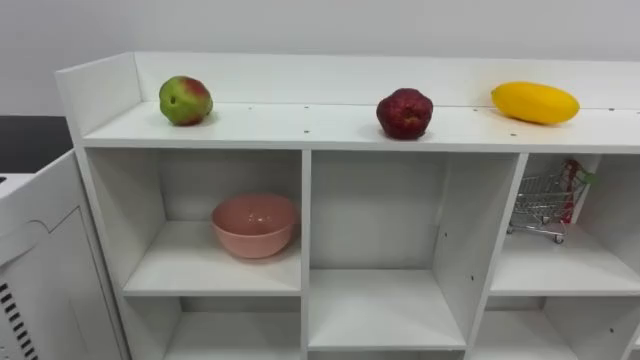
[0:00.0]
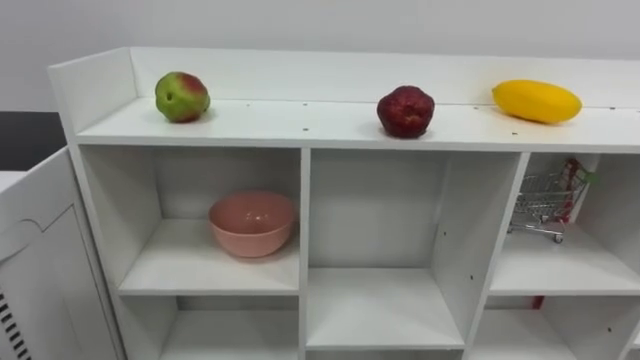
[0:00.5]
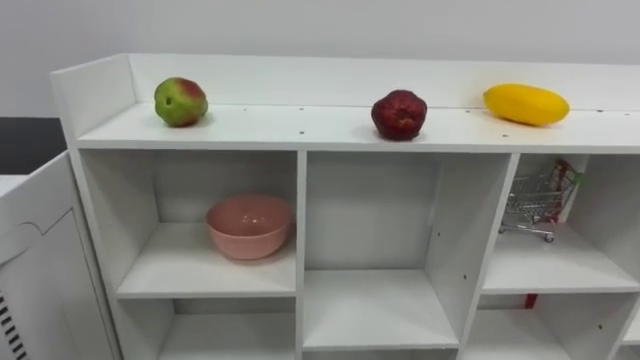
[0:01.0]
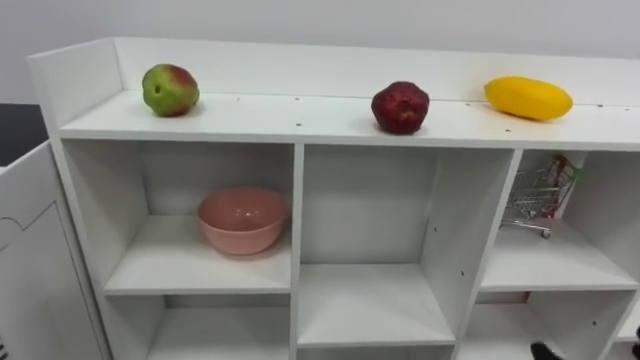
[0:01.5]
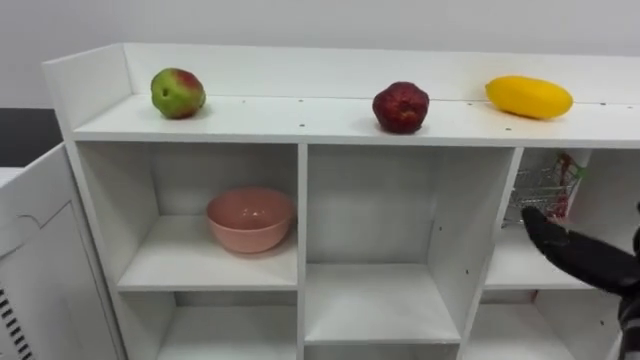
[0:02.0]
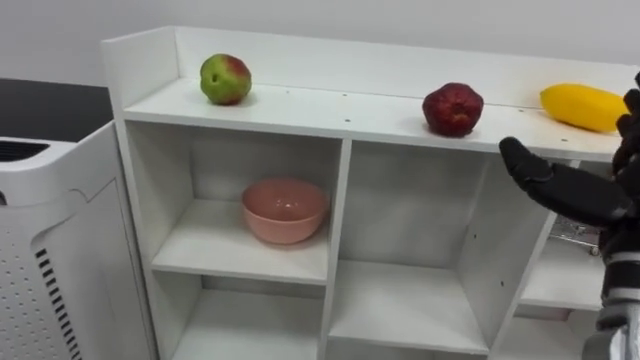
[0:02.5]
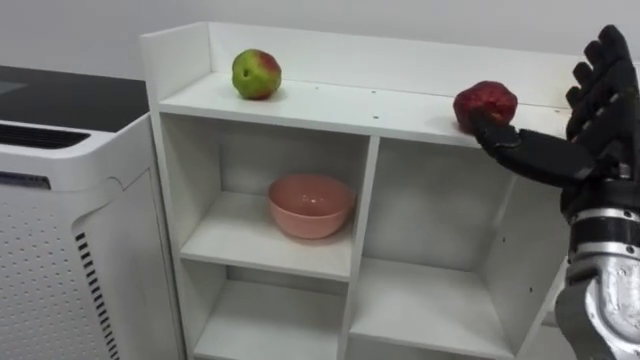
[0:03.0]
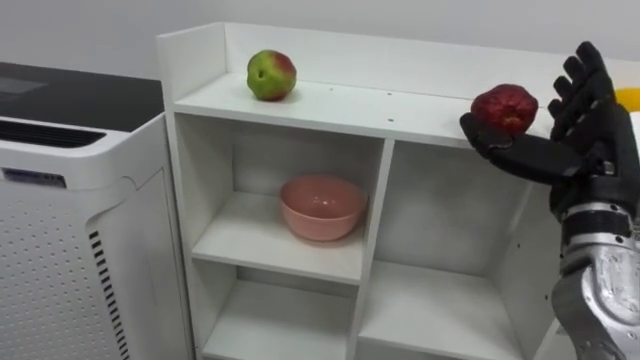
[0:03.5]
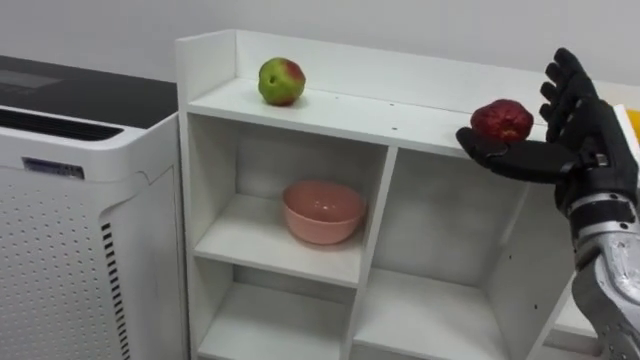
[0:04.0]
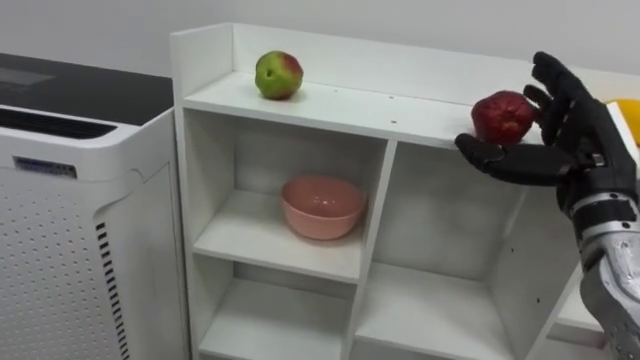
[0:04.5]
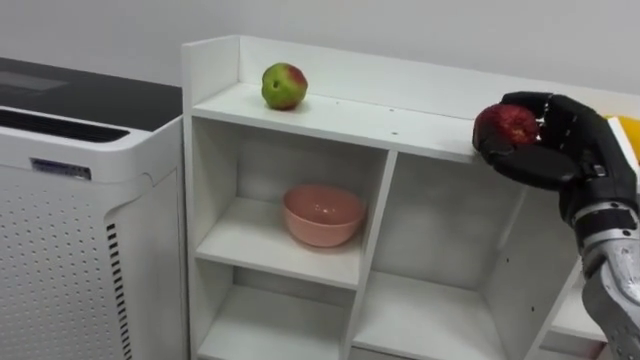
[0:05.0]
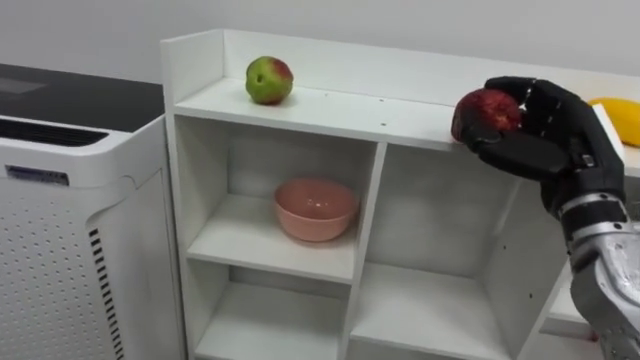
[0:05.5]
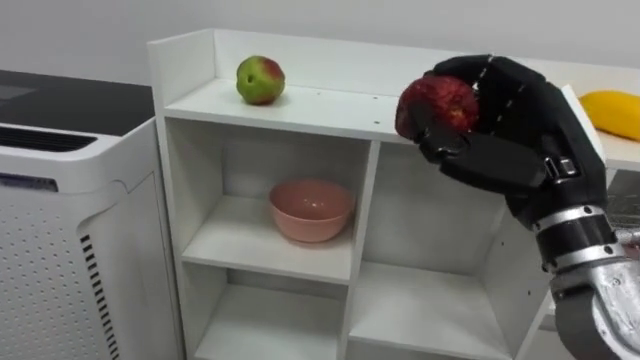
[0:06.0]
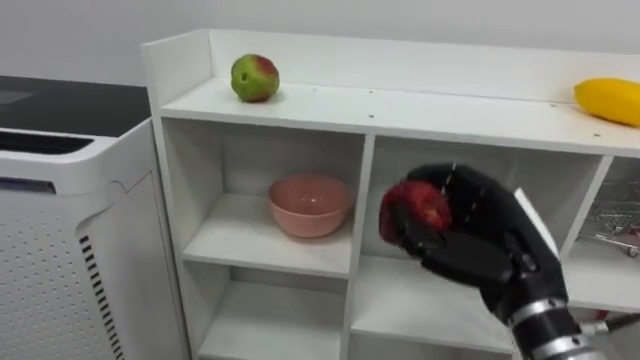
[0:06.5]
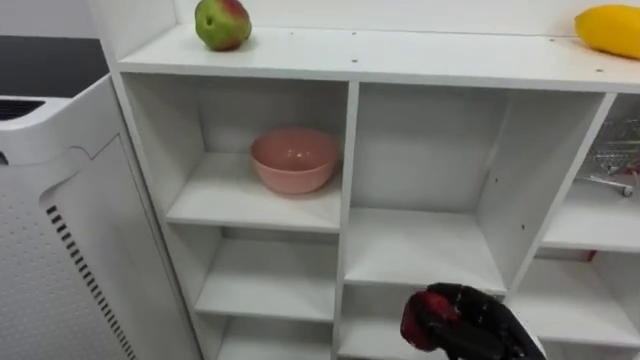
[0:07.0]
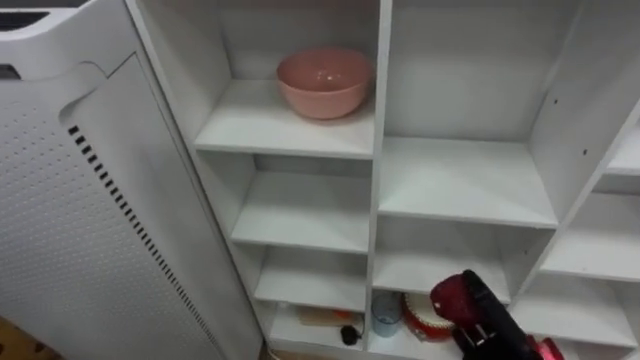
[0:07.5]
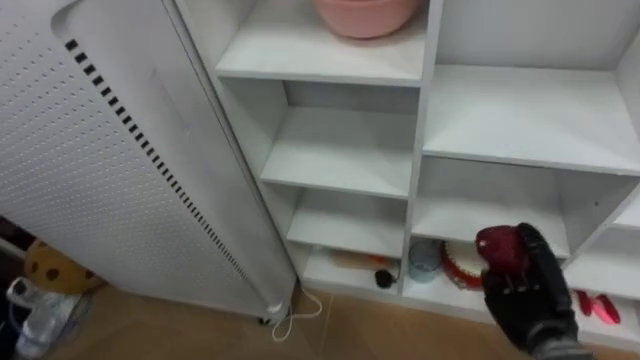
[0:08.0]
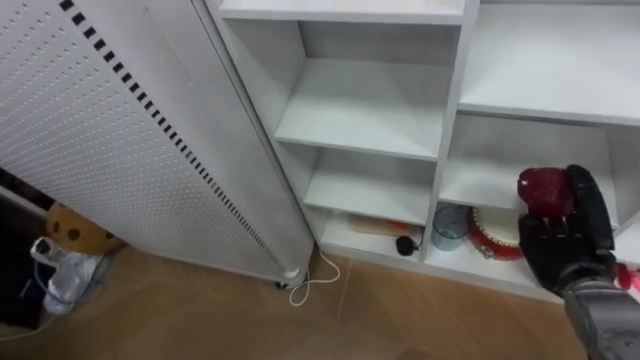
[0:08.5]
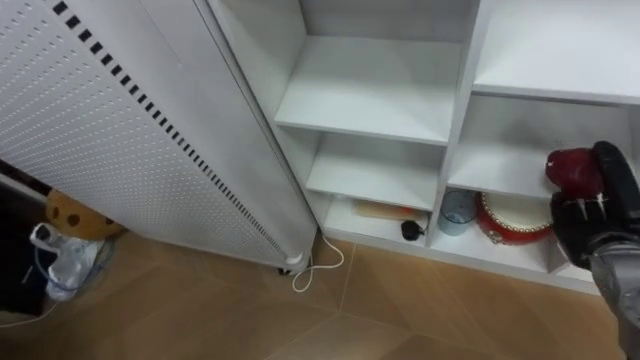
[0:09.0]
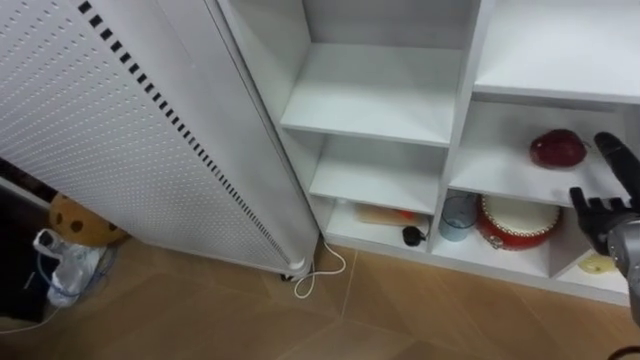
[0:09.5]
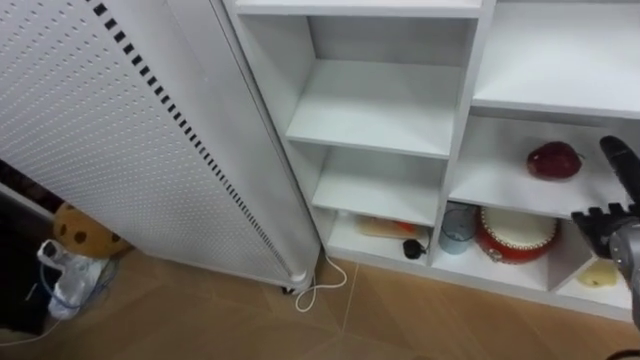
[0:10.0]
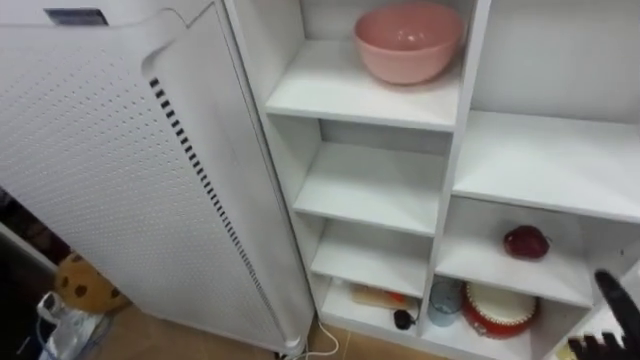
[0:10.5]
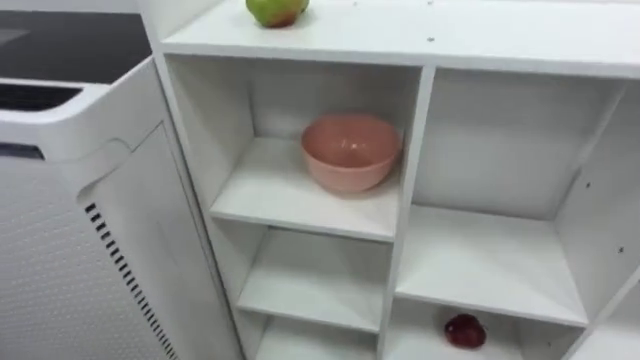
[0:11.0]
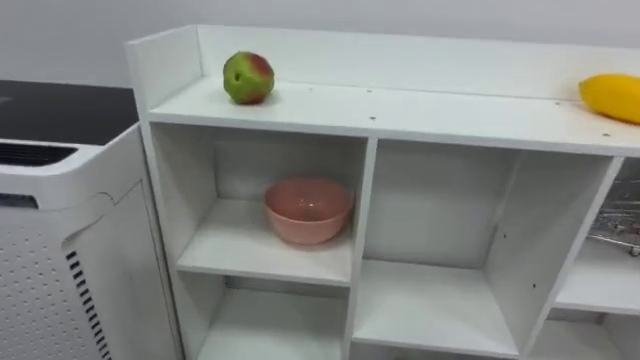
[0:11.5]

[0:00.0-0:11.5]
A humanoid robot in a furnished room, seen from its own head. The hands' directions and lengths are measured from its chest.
Task of the whole recording: Put the apple in the cell in the second column from the left and the second row from the top.
0:04.0 to 0:06.0: The right hand heads to the left and backward, covering roughly 10 cm, and closes up.
0:07.5 to 0:09.5: The right hand is displaced upward, to the right and forward by approximately 20 cm, and opens up.

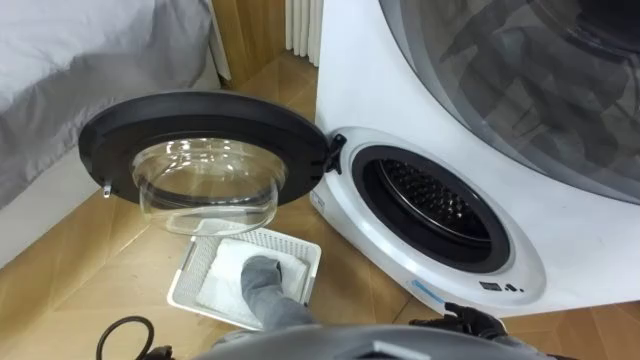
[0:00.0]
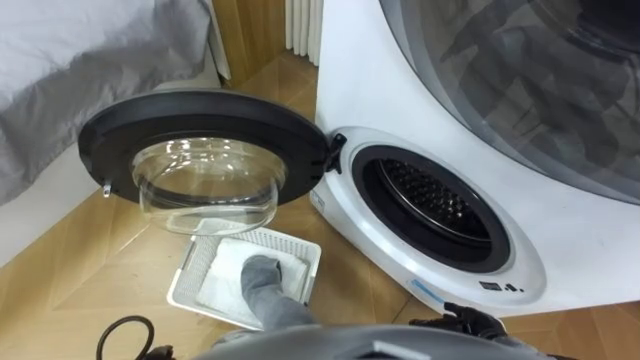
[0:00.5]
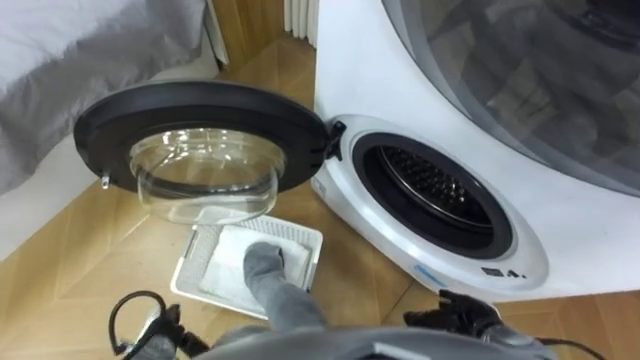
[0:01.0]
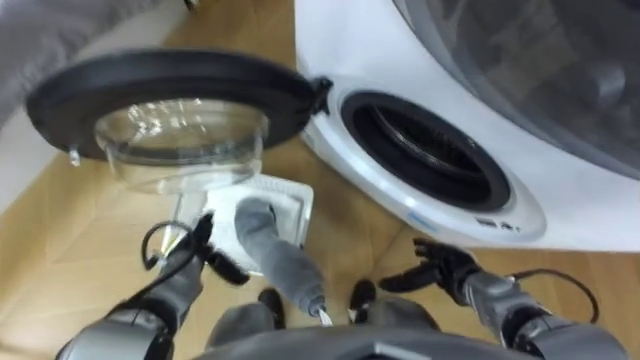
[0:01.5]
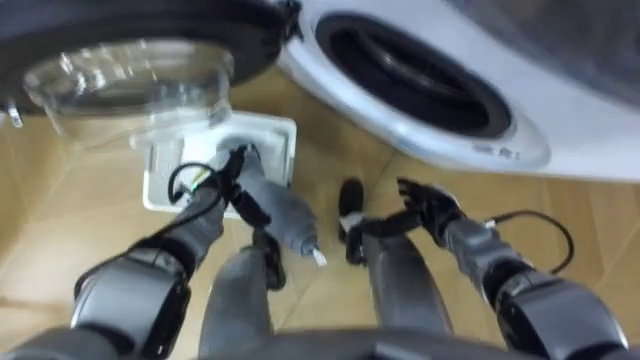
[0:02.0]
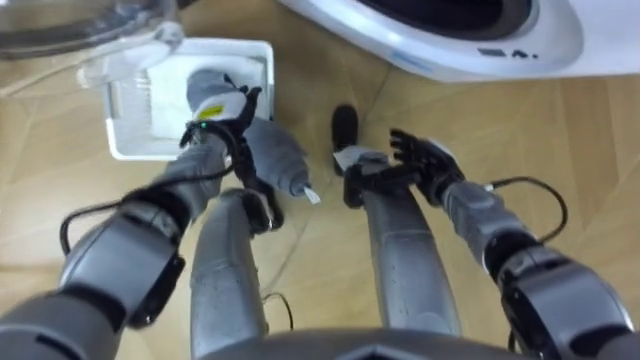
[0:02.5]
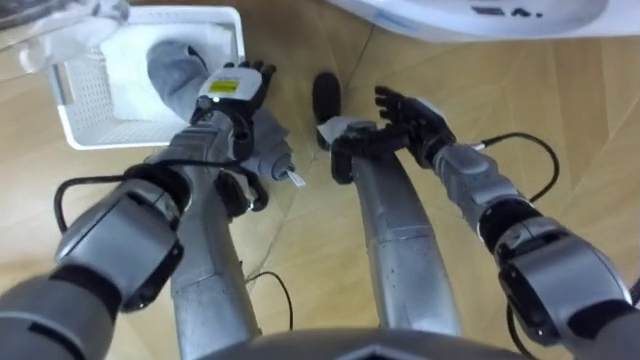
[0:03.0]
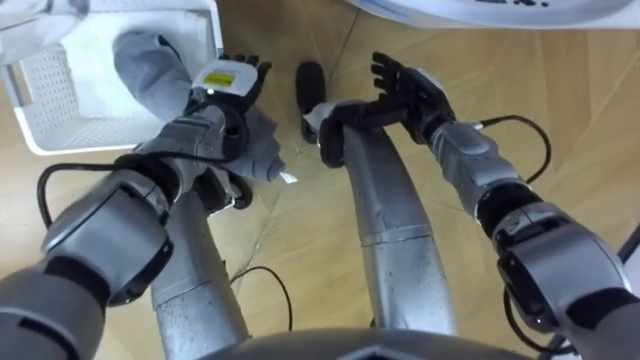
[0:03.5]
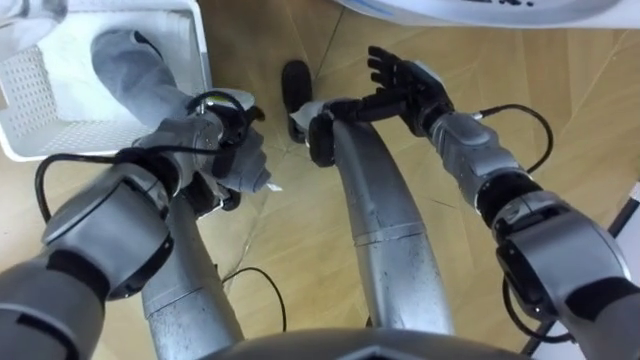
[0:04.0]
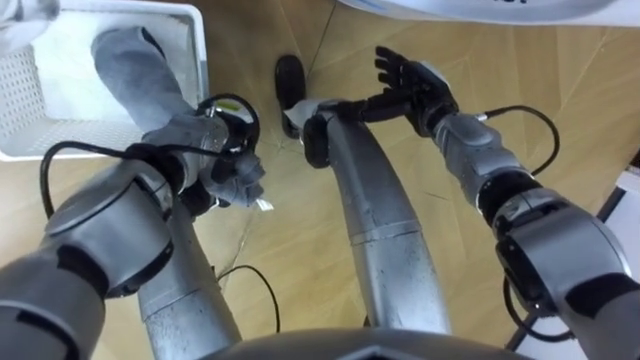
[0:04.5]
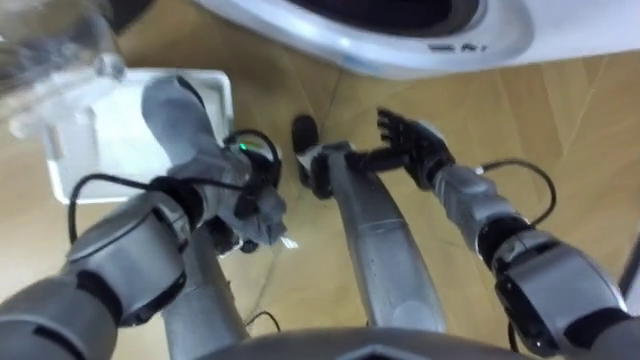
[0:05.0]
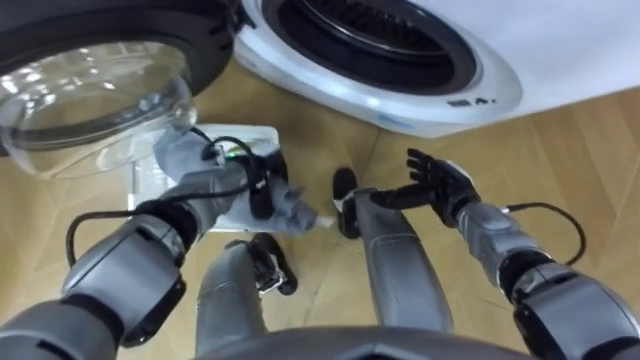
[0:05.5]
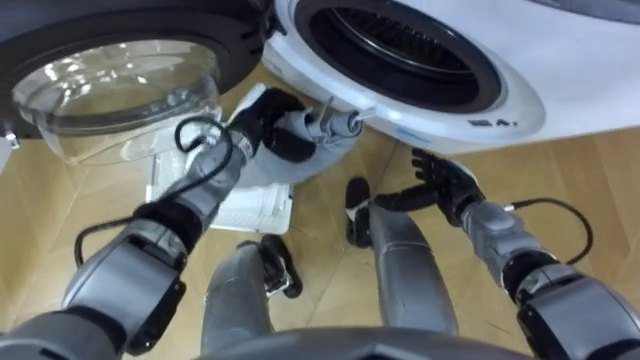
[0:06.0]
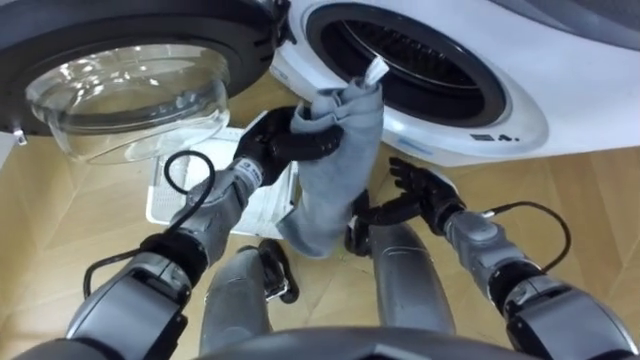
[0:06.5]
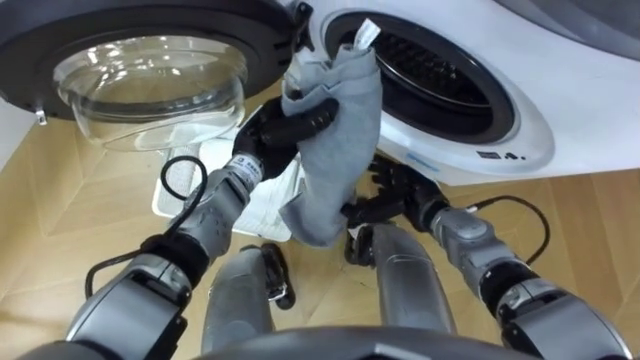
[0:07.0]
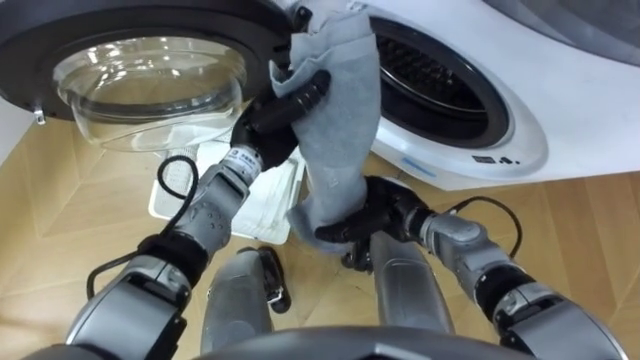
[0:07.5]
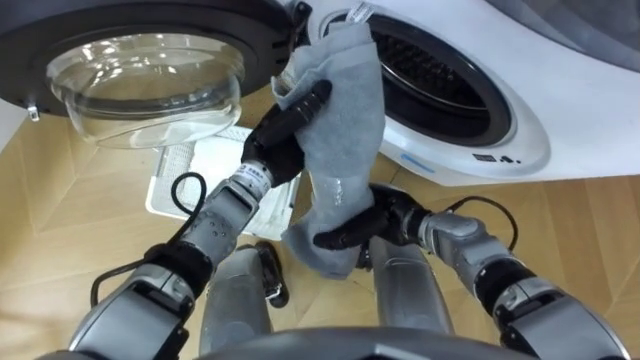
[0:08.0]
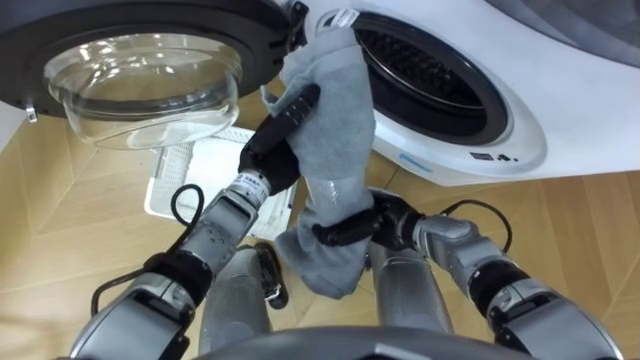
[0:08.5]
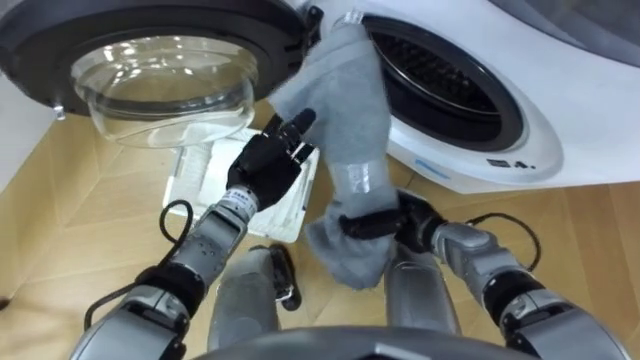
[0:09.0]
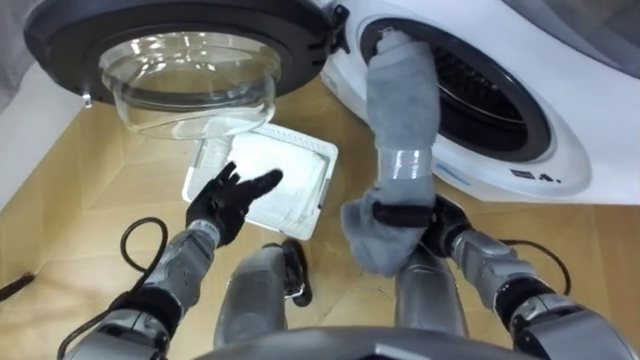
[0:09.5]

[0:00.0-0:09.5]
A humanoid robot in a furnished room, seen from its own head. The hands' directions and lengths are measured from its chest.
Task of the whole recording: Take the towel from the basket and put it into the washing machine.
0:02.0 to 0:04.0: The right hand travels forward and upward by about 20 cm. The left hand shifts some 10 cm forward and upward.
0:04.0 to 0:05.5: The right hand heads downward, backward and to the right, covering approximately 15 cm. Meanwhile the left hand shifts approximately 5 cm backward, and closes.
0:05.5 to 0:07.5: The left hand is displaced upward by about 10 cm, while the right hand is displaced to the left by some 10 cm.
0:07.5 to 0:09.5: The right hand shifts roughly 10 cm to the right, and closes. The left hand heads downward, to the left and backward, covering about 15 cm, and opens its fingers.
